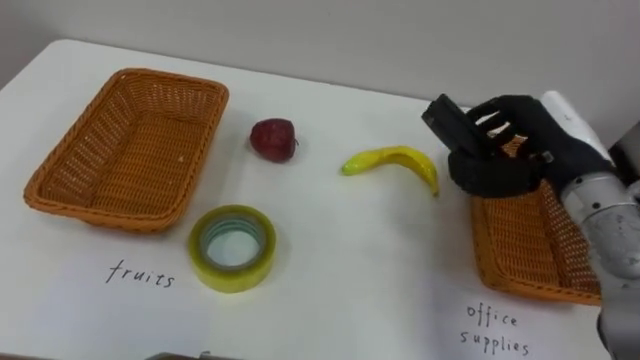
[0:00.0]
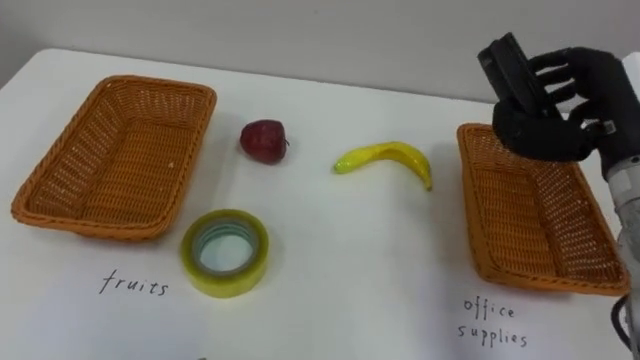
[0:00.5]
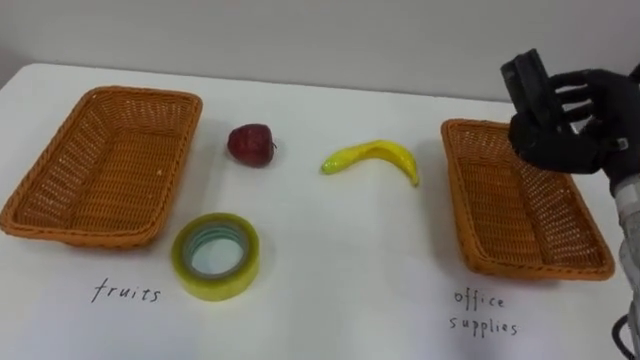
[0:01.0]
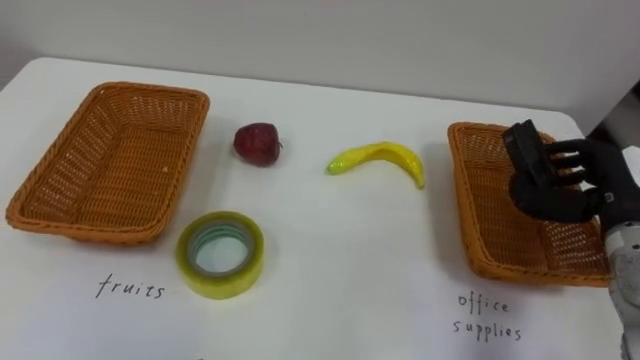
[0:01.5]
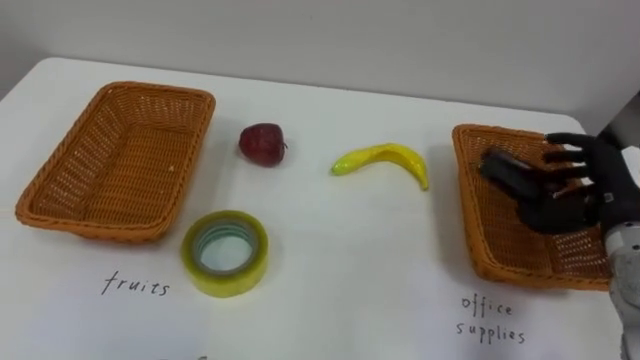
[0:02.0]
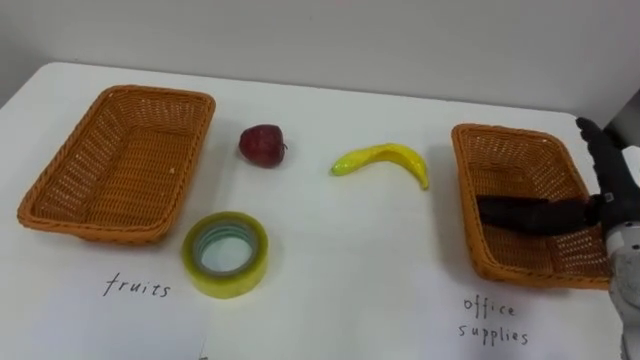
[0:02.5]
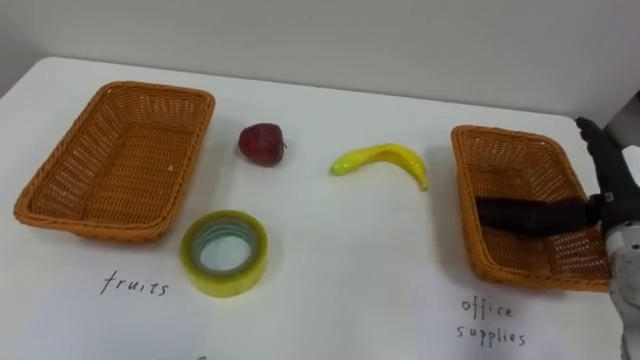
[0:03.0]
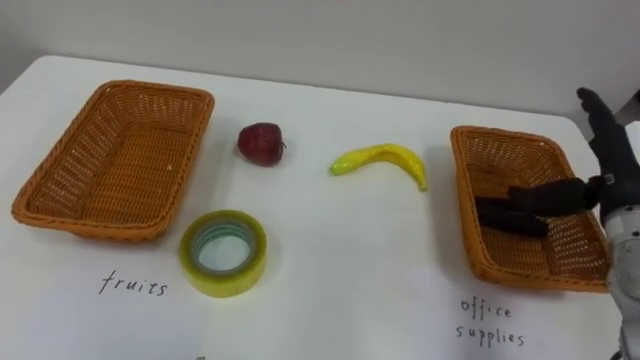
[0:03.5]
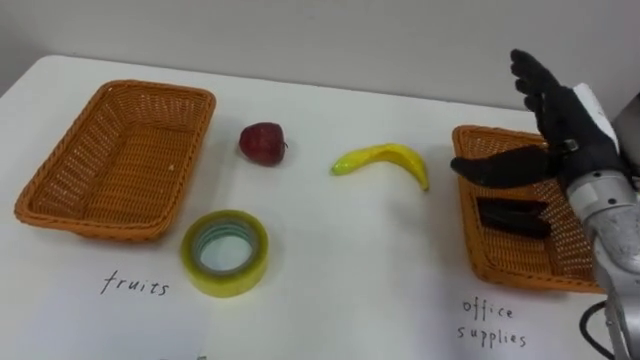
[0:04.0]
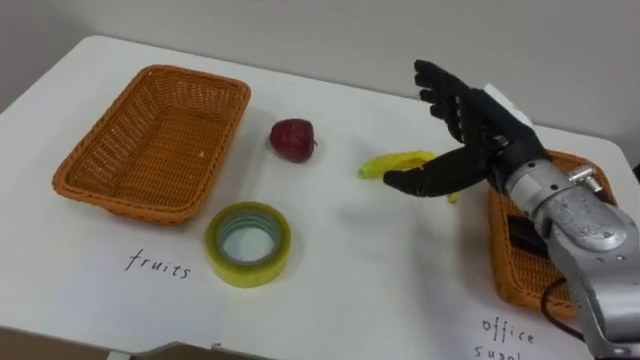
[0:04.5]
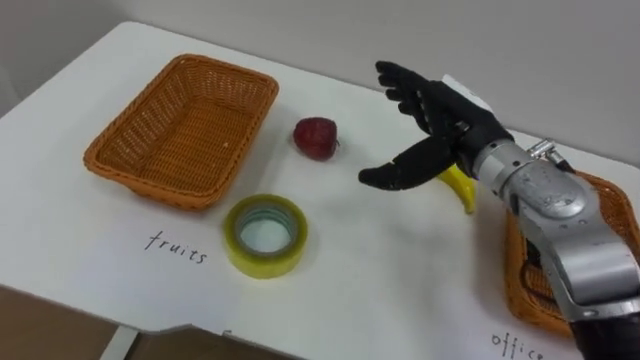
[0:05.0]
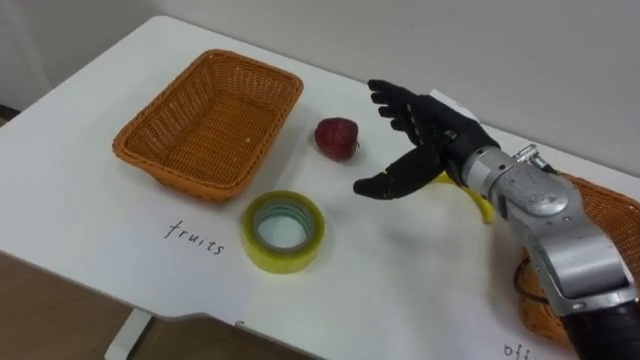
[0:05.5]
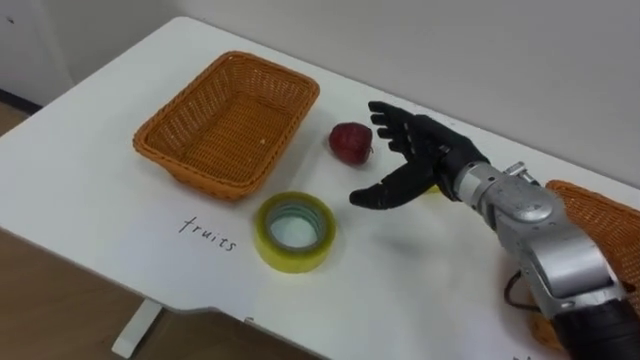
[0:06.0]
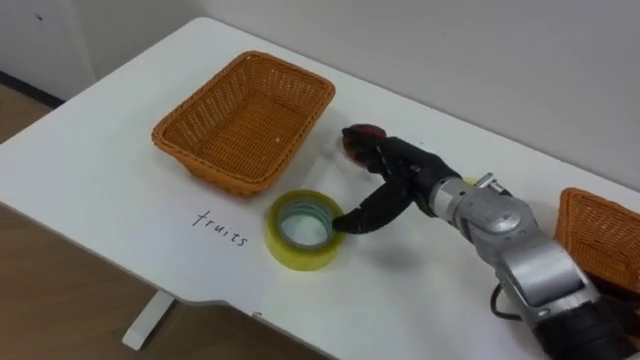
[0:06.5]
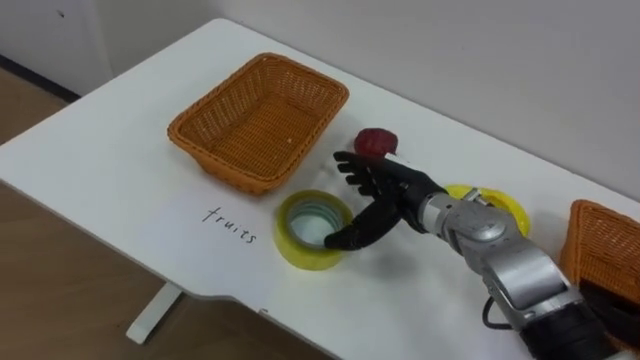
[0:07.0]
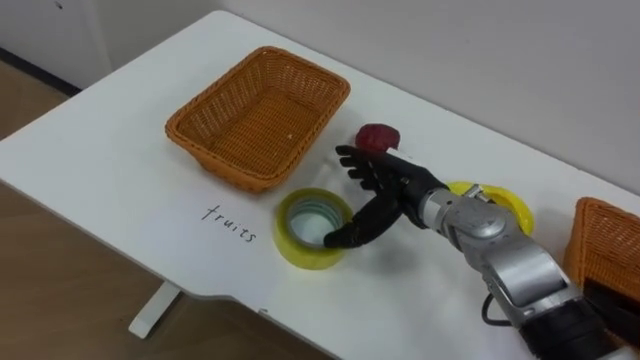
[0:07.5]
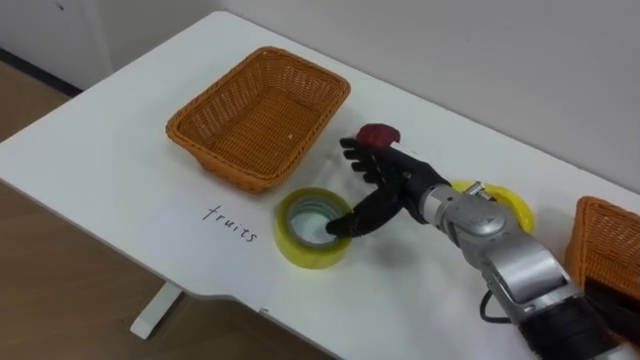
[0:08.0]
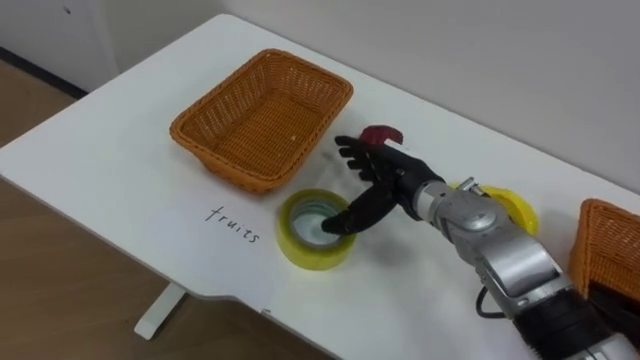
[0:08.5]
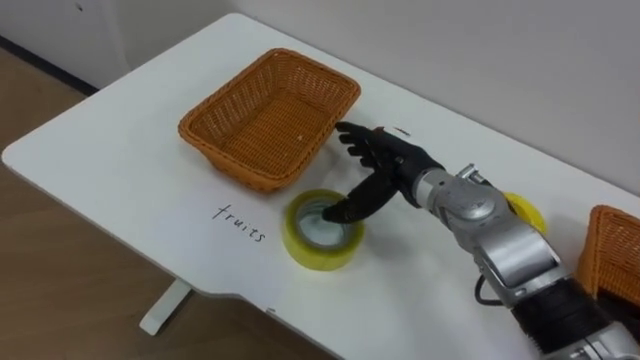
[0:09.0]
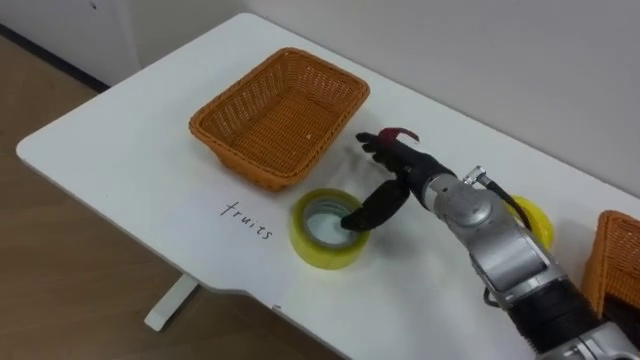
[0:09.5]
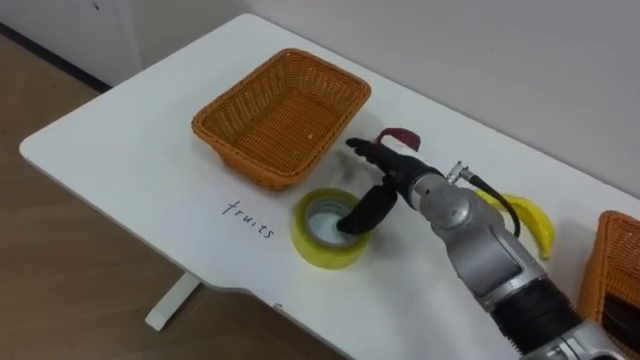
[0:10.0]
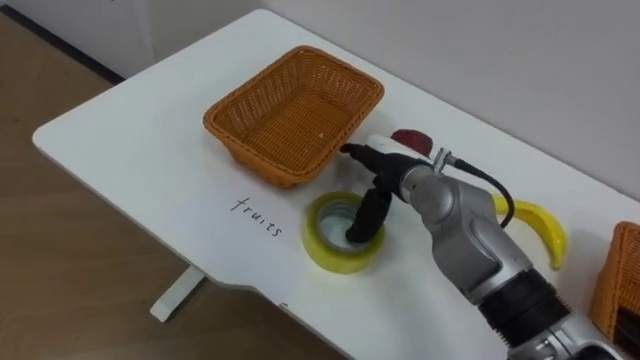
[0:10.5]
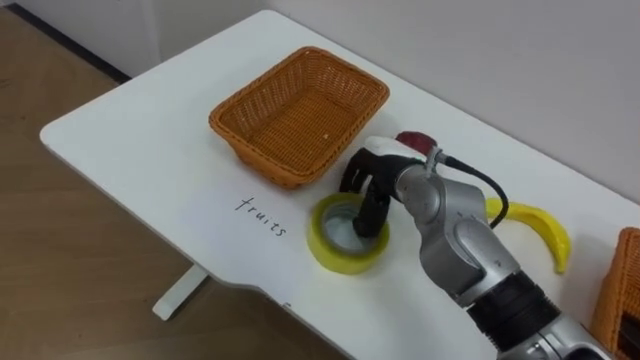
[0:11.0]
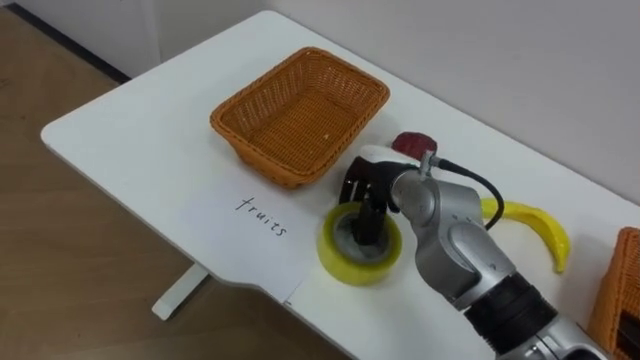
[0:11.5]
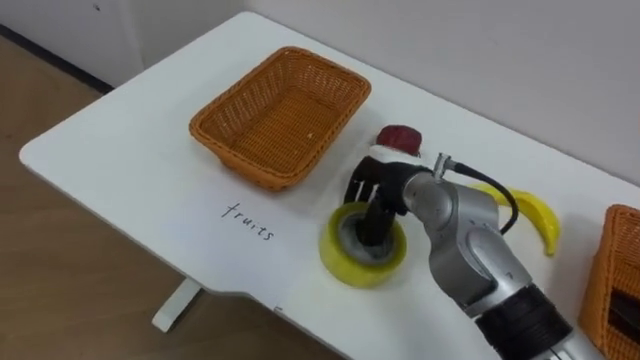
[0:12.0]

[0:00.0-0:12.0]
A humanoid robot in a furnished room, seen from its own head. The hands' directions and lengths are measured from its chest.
Task of the whole recording: Separate the items on the table and place them into the two baskets.
0:00.0 to 0:02.0: The right hand shifts roughly 10 cm to the right and downward.
0:02.0 to 0:04.0: The right hand travels to the left and upward by about 10 cm, and opens its fingers.
0:04.0 to 0:06.0: The right hand goes approximately 15 cm to the left and downward.
0:06.0 to 0:08.0: The right hand changes place by some 5 cm.
0:10.0 to 0:12.0: The right hand closes.

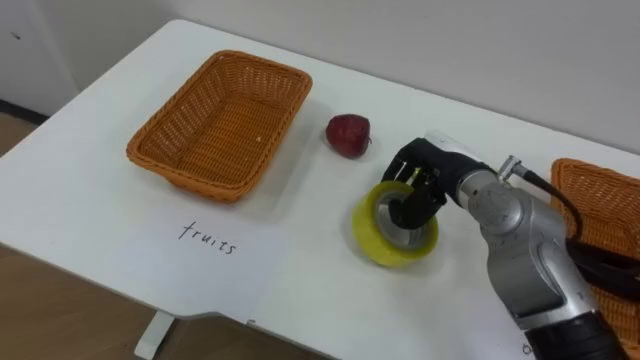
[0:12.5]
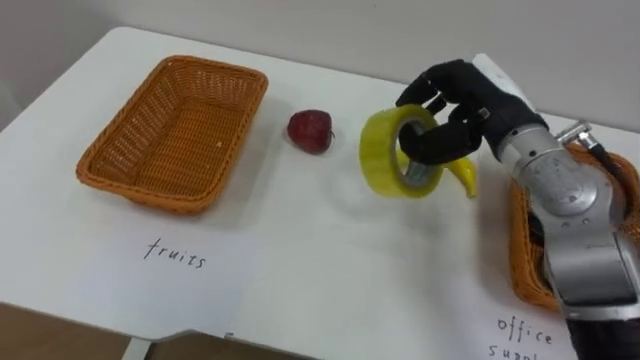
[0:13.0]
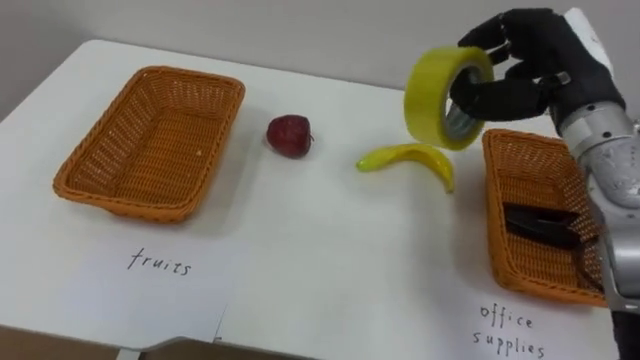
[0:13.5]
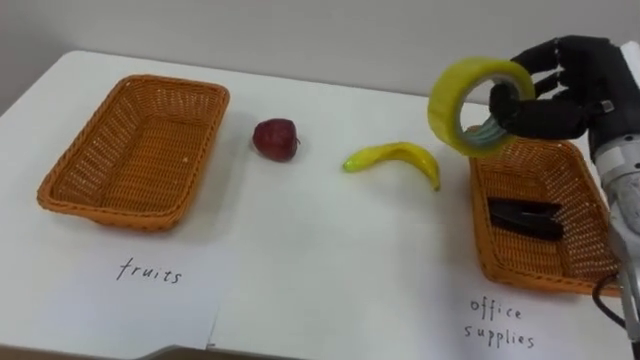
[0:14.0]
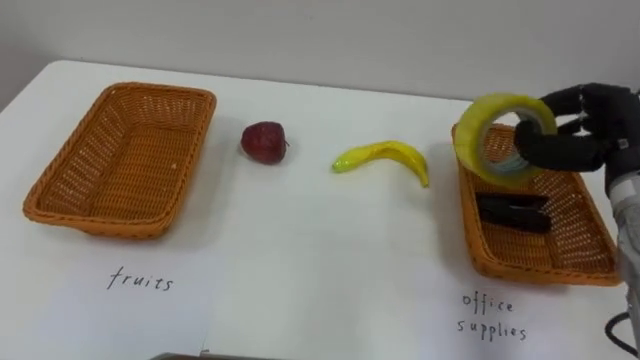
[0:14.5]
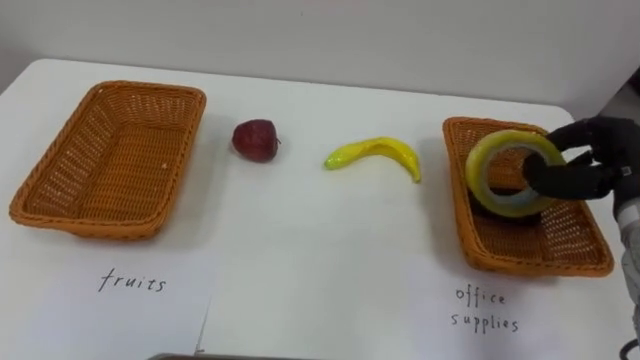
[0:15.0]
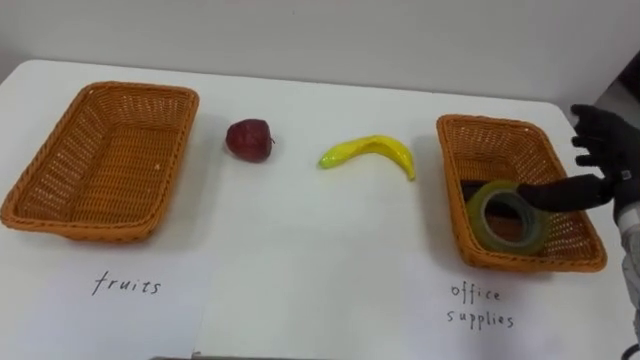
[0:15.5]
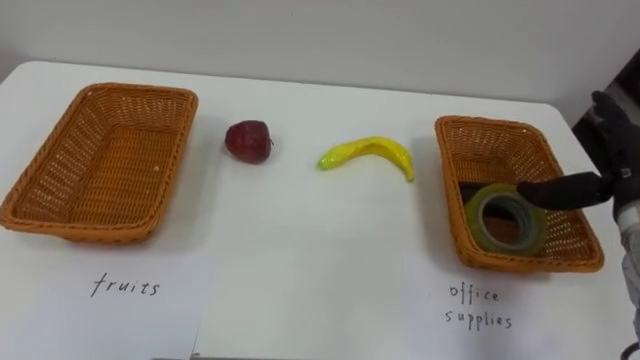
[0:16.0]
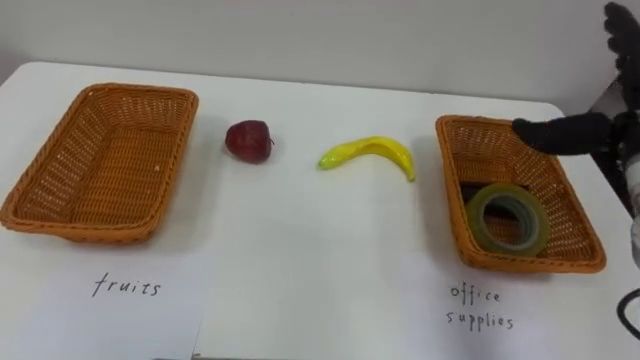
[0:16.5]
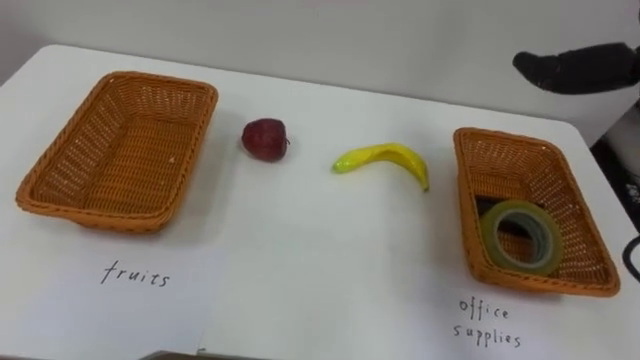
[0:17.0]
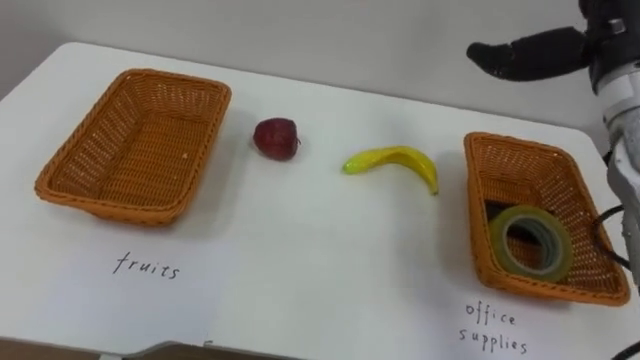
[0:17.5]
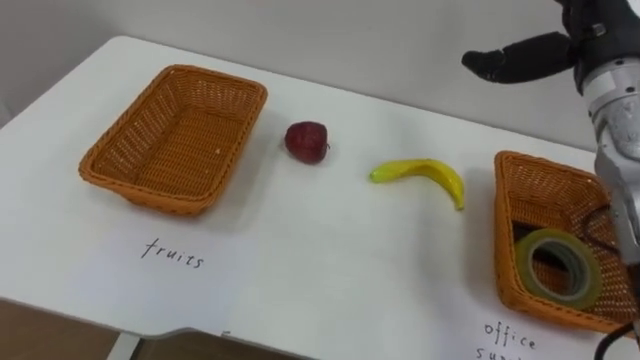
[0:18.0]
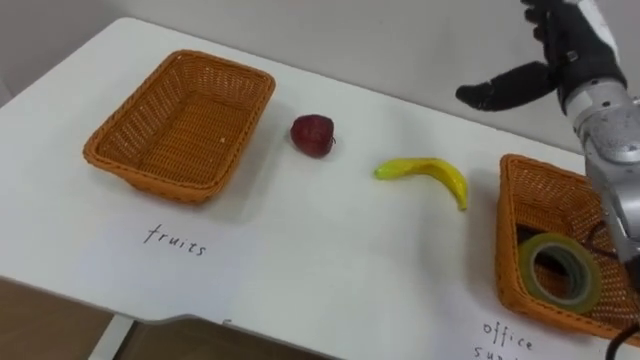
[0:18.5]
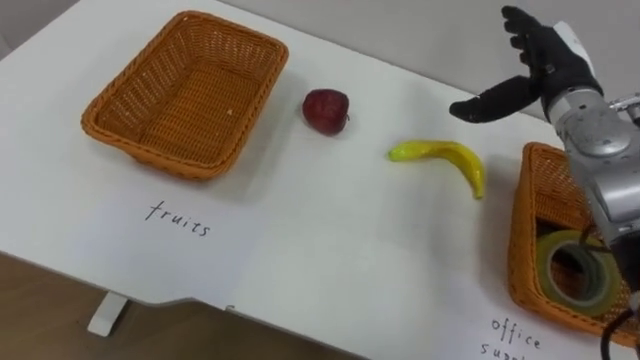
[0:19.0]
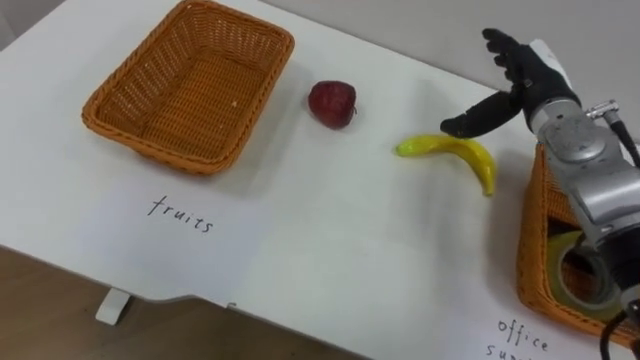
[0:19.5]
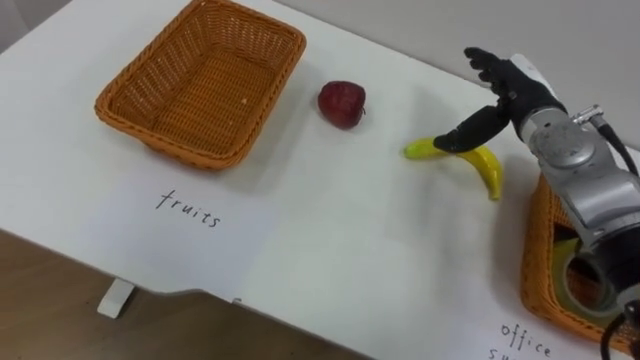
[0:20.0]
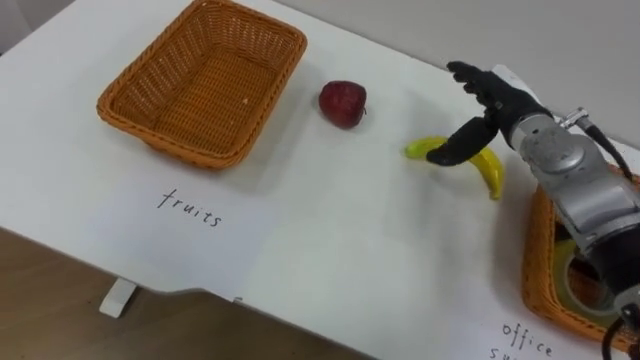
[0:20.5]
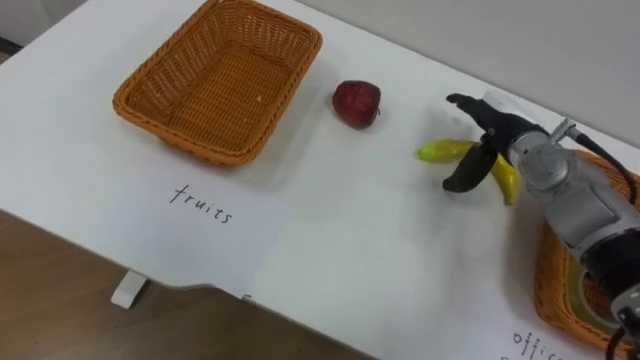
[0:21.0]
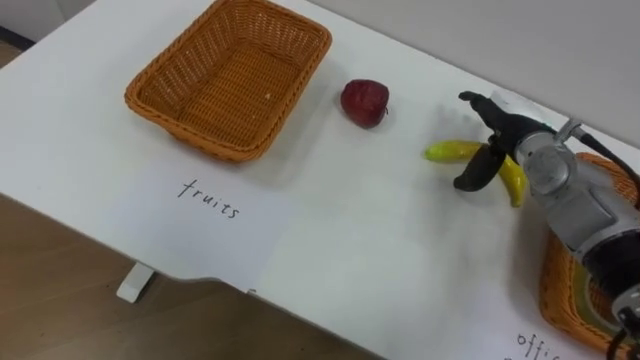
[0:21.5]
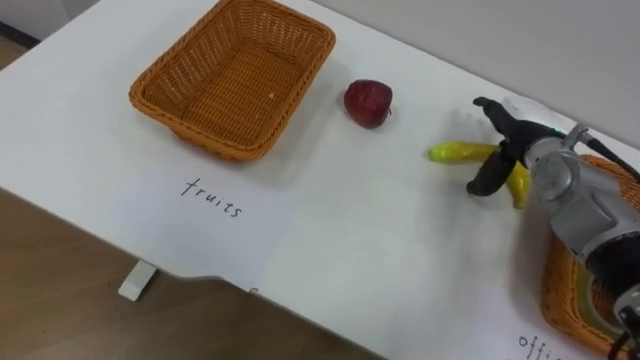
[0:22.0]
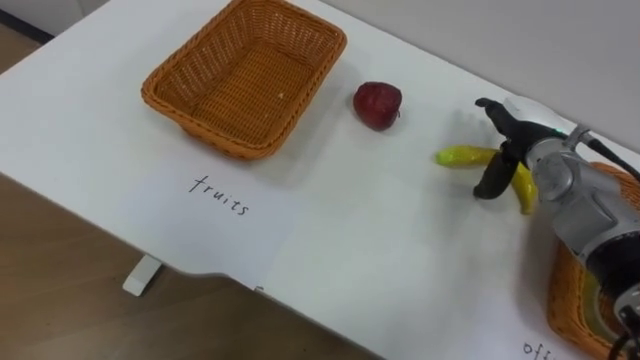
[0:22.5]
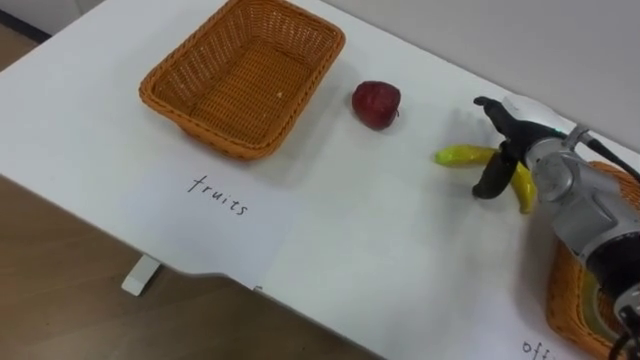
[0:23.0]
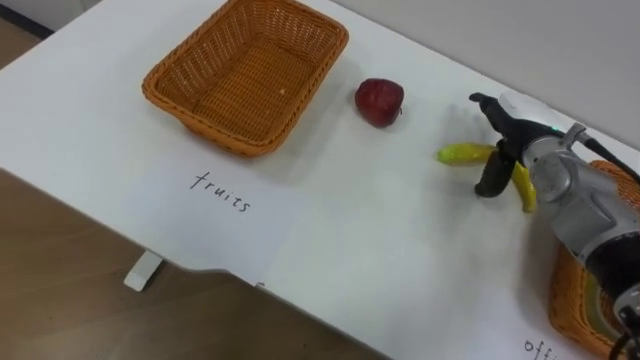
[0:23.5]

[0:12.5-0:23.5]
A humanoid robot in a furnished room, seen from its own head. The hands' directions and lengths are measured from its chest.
Task of the whole recording: Separate the items on the table and place them into the two baskets.
0:12.5 to 0:14.5: The right hand moves to the right, roughly 15 cm.
0:14.5 to 0:16.0: The right hand opens up.
0:18.0 to 0:20.0: The right hand shifts approximately 10 cm downward.
